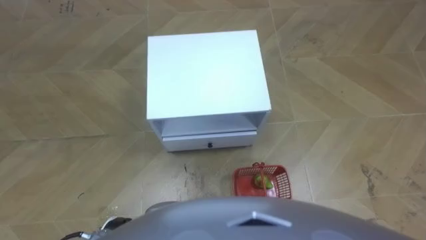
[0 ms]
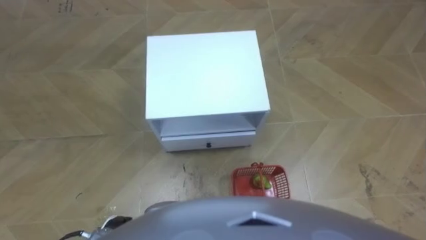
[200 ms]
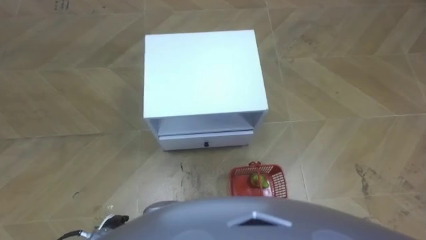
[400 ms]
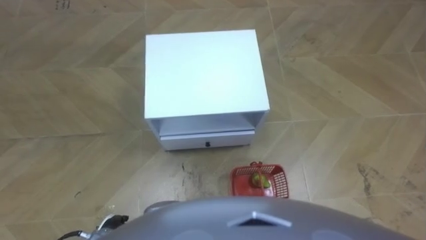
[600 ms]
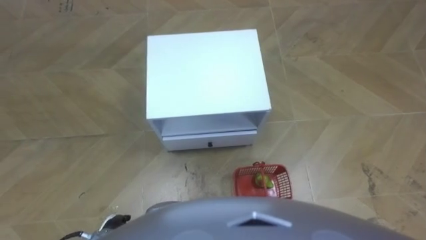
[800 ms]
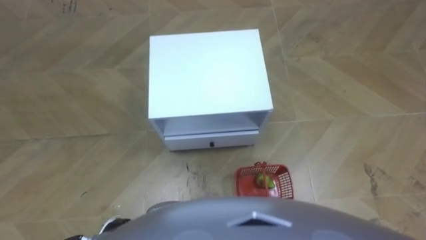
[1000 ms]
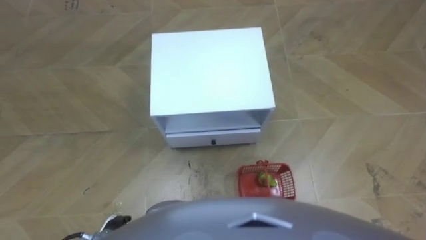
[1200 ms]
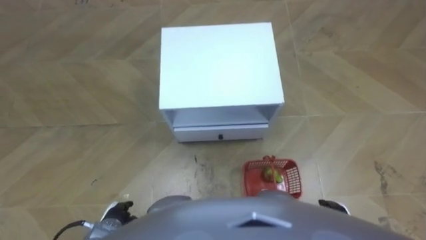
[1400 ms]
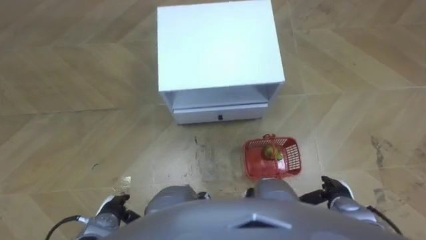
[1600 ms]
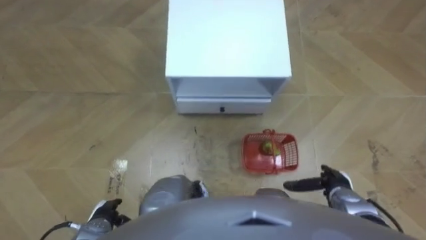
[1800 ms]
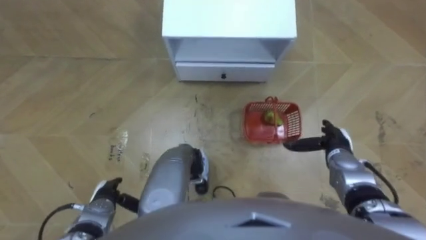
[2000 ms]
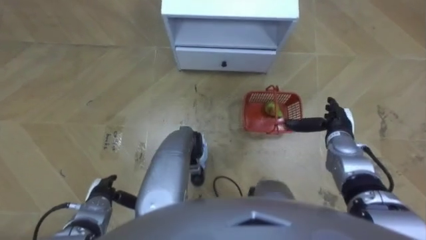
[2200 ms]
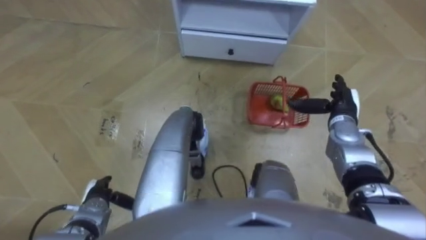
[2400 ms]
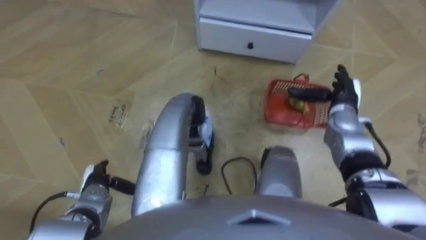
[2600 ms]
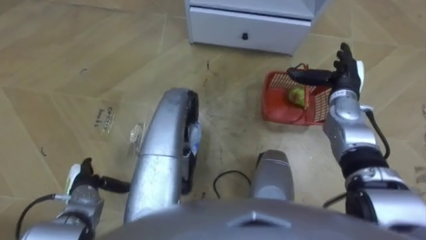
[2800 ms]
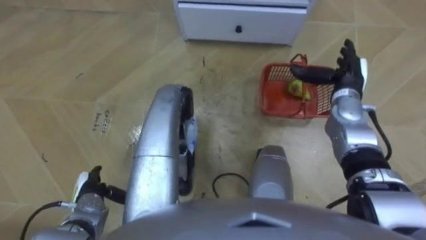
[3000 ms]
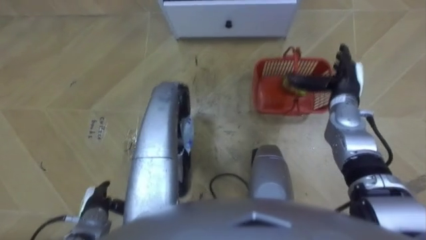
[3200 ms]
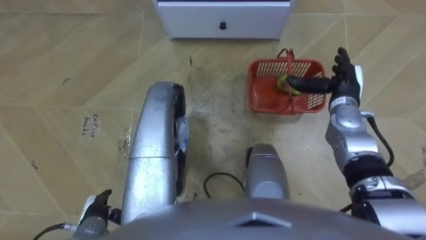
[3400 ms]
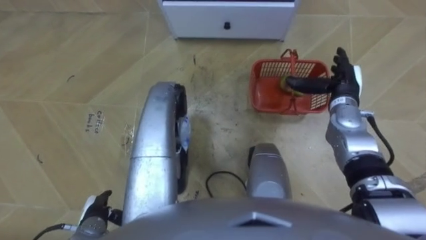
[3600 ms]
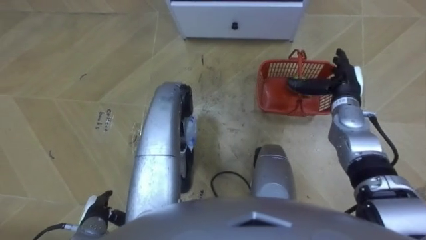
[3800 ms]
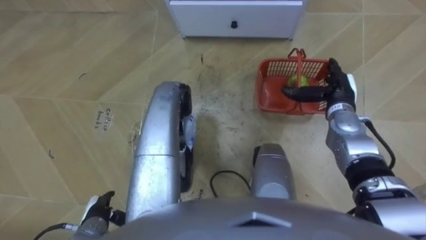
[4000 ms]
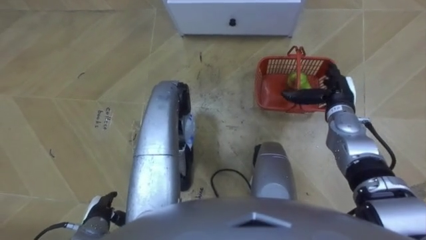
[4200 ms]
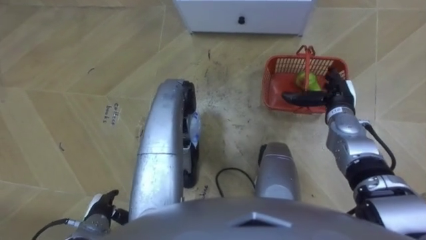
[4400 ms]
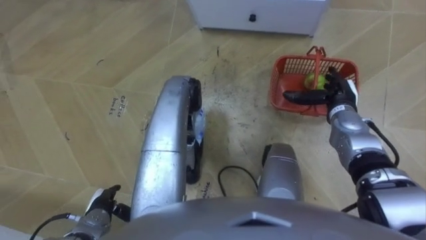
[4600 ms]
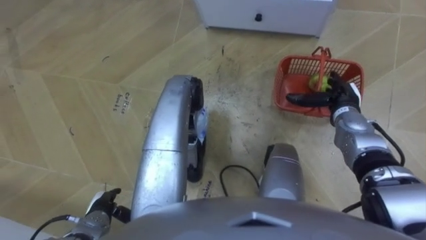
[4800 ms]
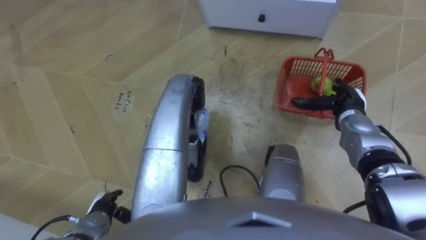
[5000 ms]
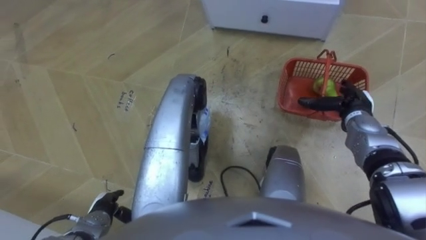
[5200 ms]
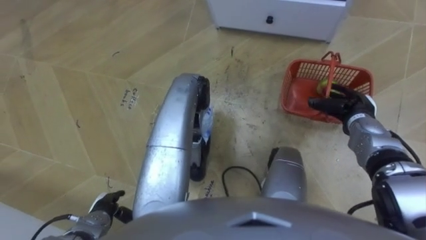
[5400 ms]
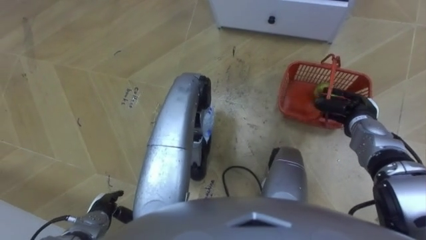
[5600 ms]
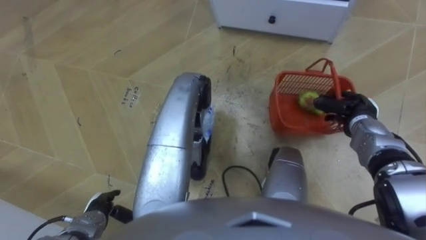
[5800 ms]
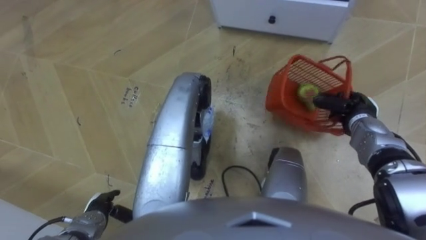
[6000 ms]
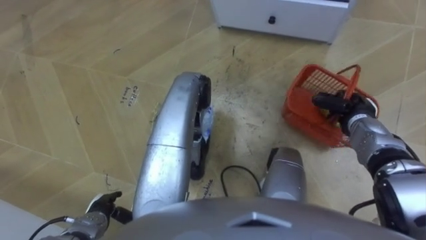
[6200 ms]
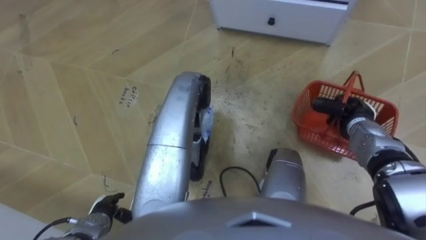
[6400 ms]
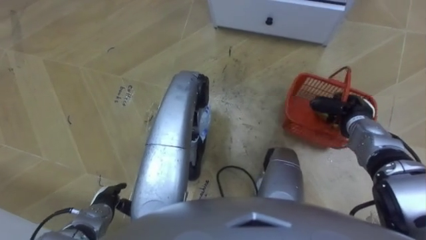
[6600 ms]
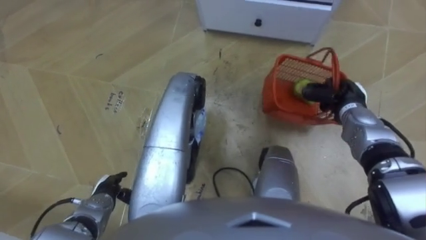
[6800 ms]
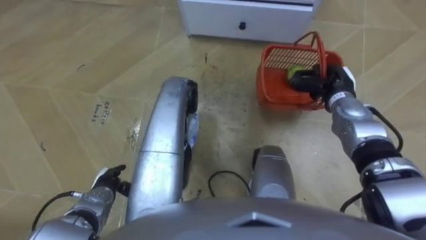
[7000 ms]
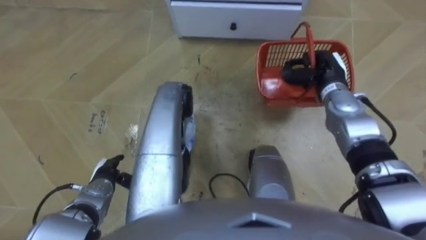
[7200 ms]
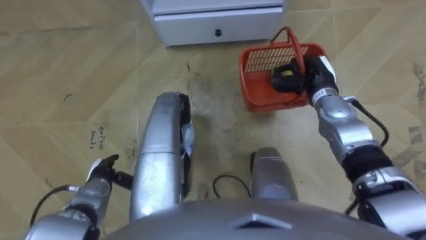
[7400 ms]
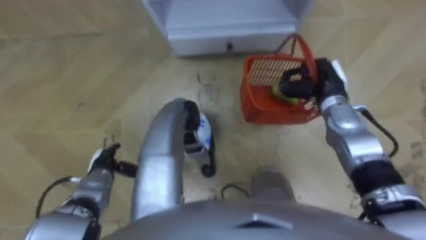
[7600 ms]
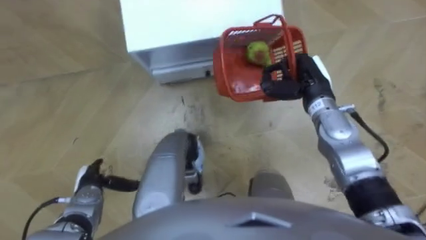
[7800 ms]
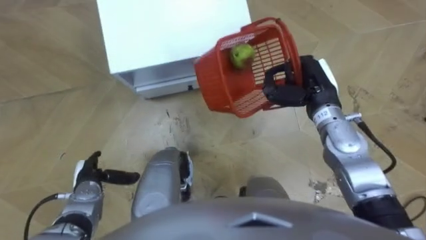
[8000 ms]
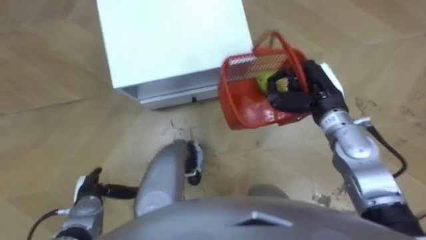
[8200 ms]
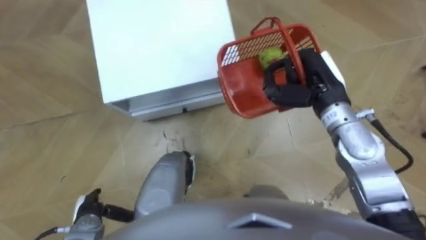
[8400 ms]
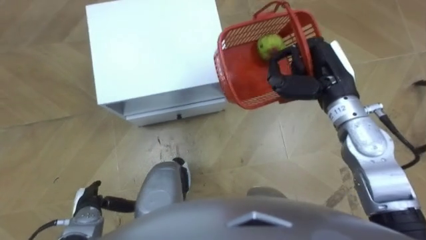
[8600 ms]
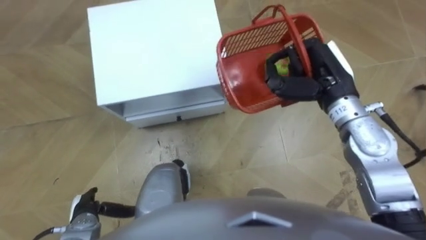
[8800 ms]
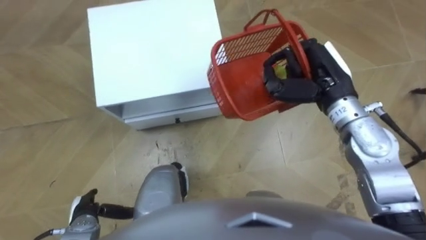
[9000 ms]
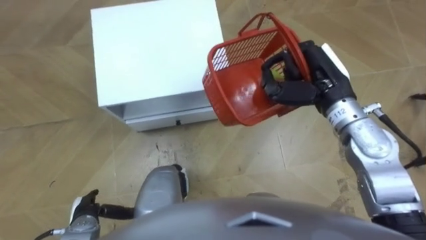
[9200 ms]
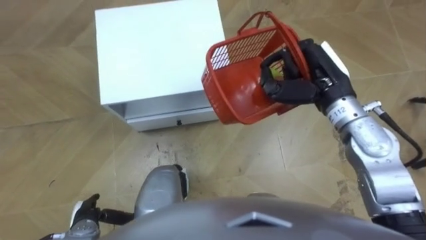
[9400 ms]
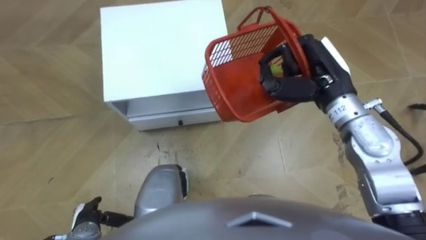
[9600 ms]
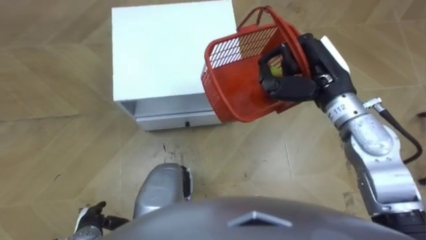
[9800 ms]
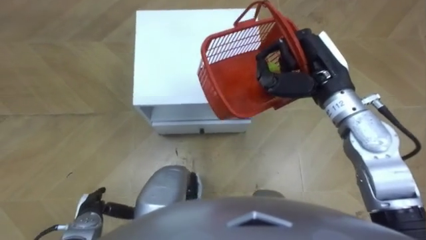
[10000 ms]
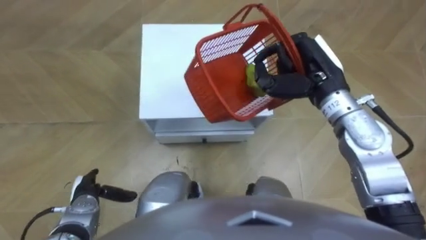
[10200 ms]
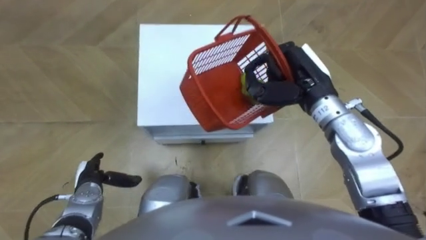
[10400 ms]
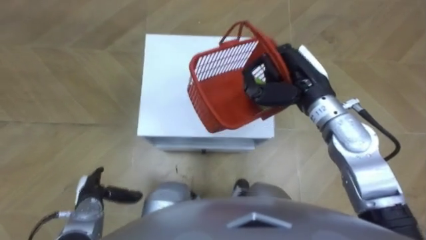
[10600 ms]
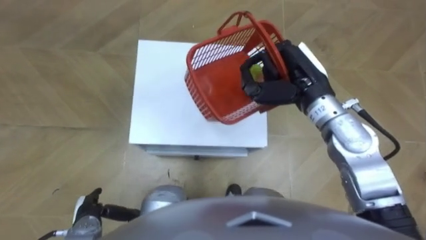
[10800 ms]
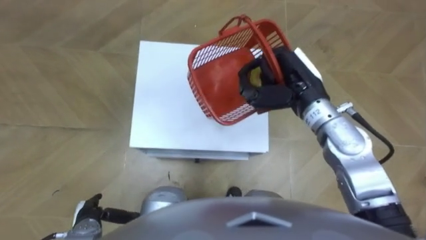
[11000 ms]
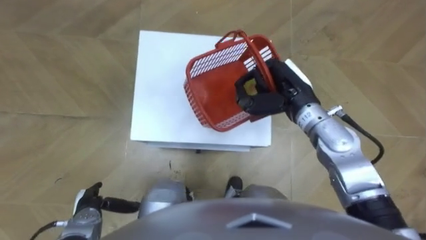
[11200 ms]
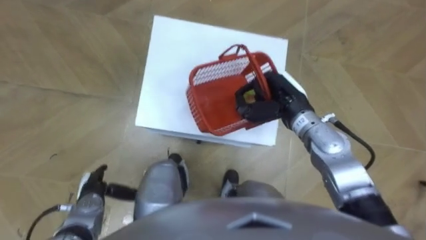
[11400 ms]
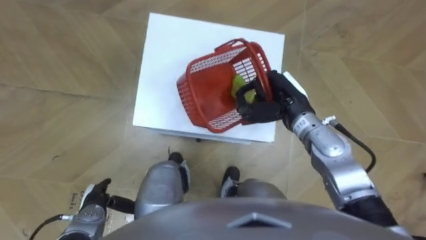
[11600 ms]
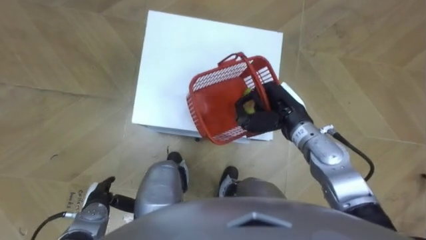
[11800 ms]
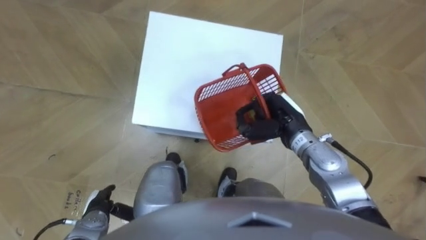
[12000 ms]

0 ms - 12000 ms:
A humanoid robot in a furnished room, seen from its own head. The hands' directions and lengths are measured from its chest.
Task of the whole recording: Pick up the fruit basket from the floor and place it on the cabinet.
1600 ms - 3000 ms: The left hand moves forward, some 5 cm. The right hand heads forward and upward, covering roughly 25 cm.
3000 ms - 4400 ms: The left hand shifts about 5 cm backward.
4400 ms - 6000 ms: The right hand moves roughly 5 cm, and closes up.
6000 ms - 7600 ms: The left hand shifts some 10 cm forward. The right hand travels to the left and upward by some 10 cm.
7600 ms - 9000 ms: The right hand heads upward, covering about 10 cm. Meanwhile the left hand heads backward, covering approximately 10 cm.
9000 ms - 10400 ms: The left hand shifts roughly 5 cm forward.
10400 ms - 12000 ms: The left hand is displaced backward by roughly 5 cm, while the right hand travels downward by about 10 cm.

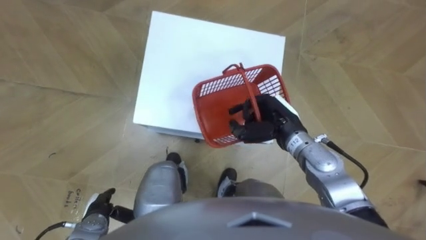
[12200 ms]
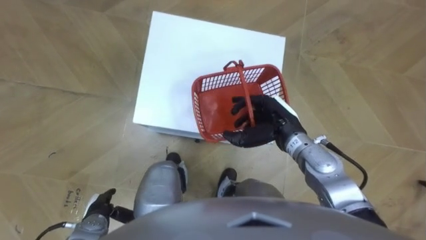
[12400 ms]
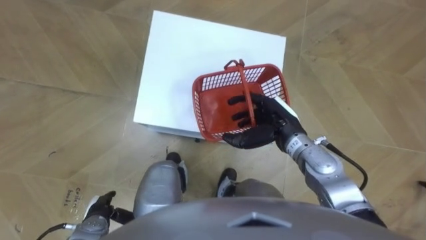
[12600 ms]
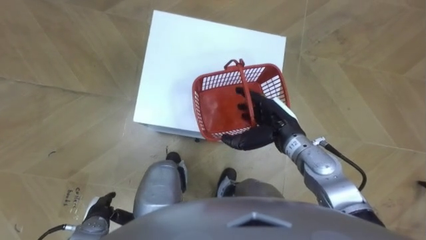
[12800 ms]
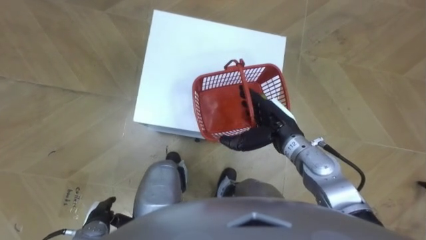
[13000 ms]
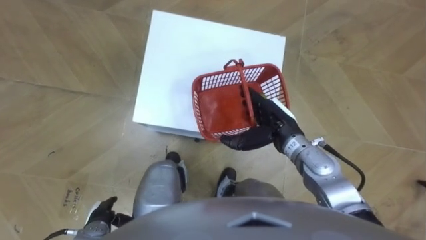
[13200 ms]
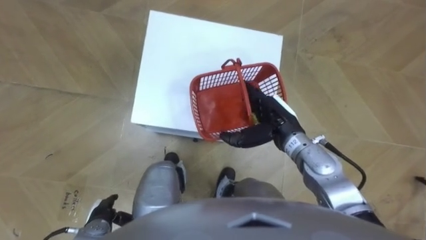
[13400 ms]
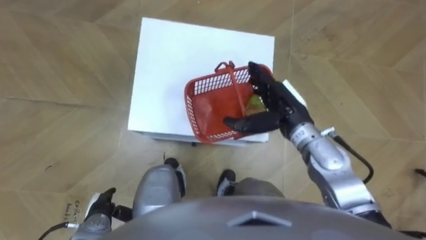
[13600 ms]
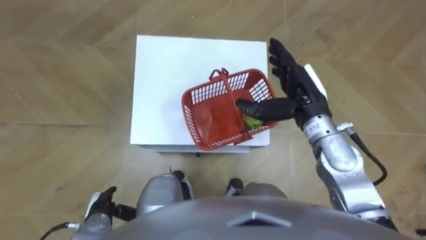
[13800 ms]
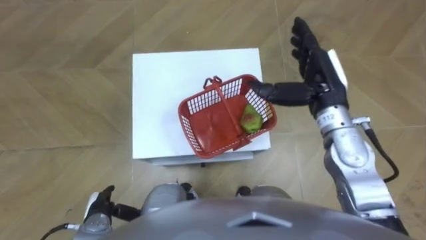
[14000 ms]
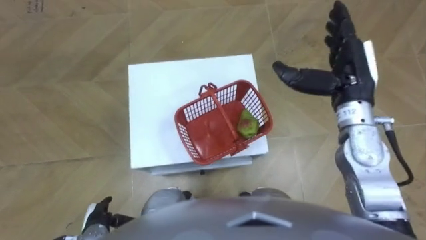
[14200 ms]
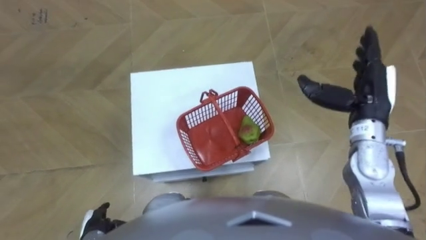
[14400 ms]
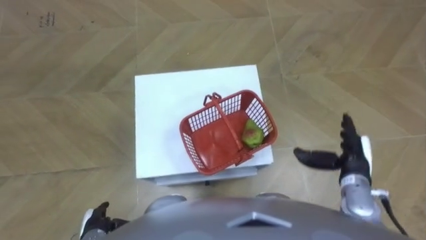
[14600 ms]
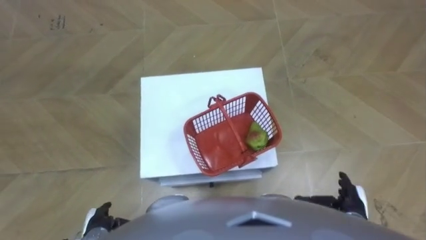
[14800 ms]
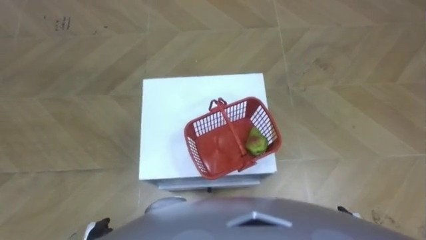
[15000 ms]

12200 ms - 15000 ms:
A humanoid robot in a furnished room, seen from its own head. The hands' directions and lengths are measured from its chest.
Task of the whole recording: Pick up the fruit basket from the floor and place it on the cabinet.
12200 ms - 13600 ms: The right hand opens up.
13600 ms - 15000 ms: The left hand moves backward, about 5 cm, while the right hand moves backward, downward and to the right, roughly 30 cm.

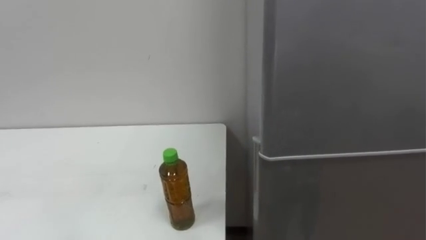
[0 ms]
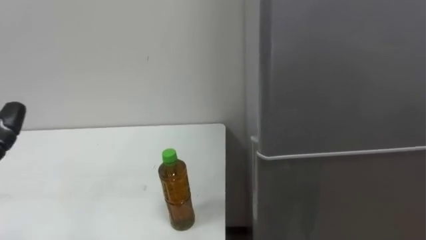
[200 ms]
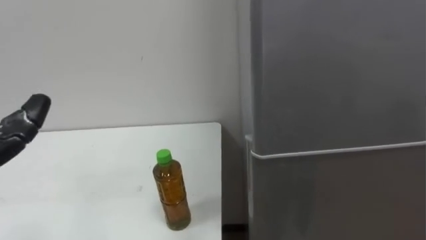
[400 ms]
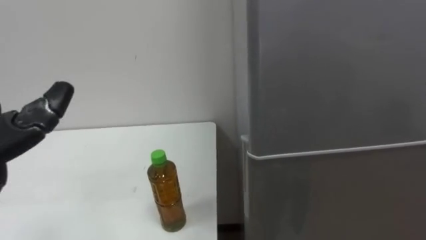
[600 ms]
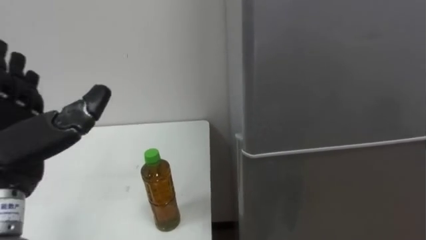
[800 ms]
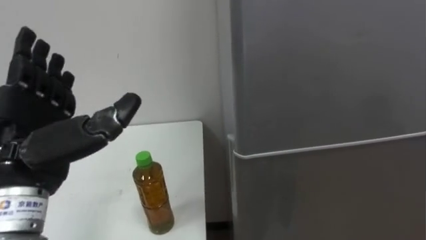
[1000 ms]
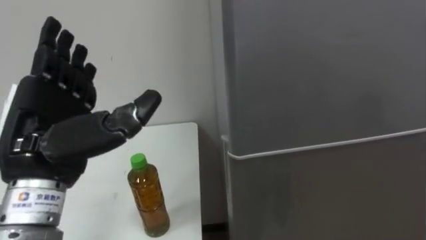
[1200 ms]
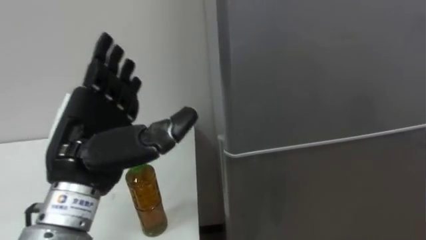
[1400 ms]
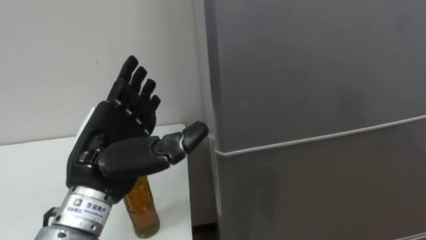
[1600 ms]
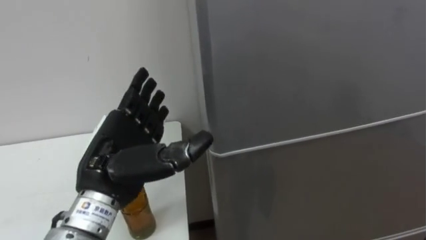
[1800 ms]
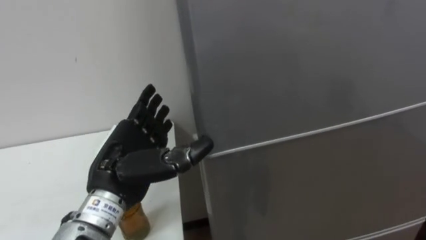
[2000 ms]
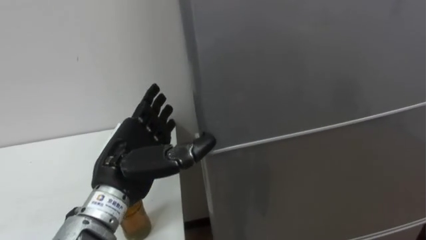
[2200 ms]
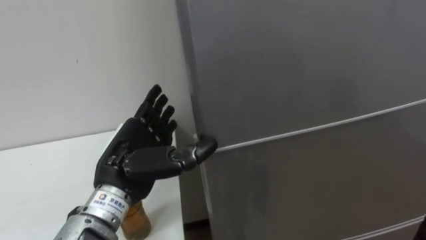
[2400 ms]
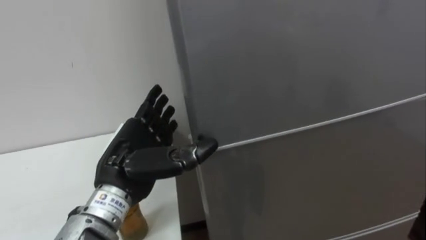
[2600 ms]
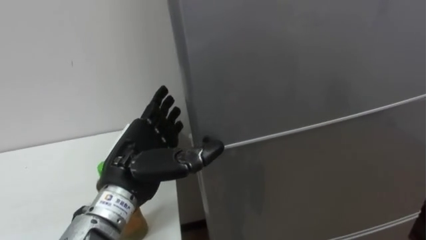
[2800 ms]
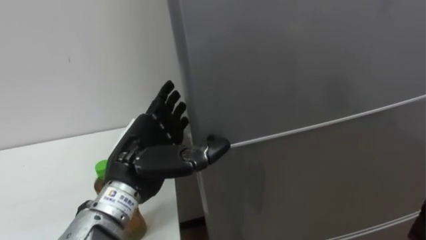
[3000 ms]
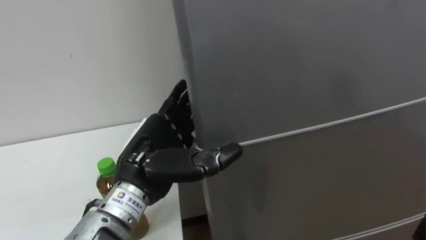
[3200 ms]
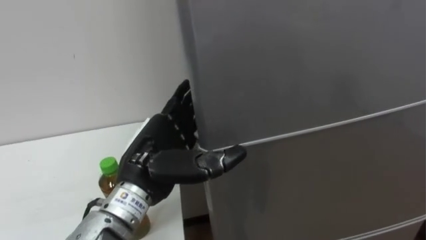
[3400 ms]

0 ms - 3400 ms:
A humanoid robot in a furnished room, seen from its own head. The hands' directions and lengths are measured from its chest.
Task of the whole recording: Open the upper refrigerator door, put the drink from the table into the refrigerator, and then close the refrigerator door.
1600 ms - 3400 ms: The left hand shifts approximately 5 cm to the right.
